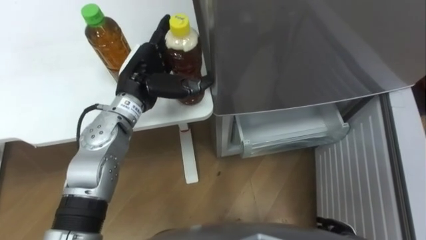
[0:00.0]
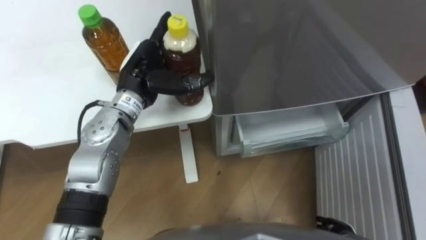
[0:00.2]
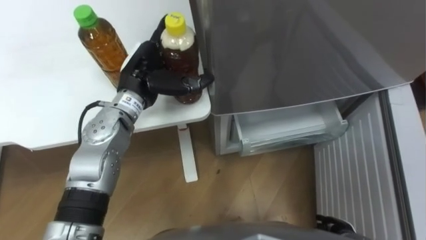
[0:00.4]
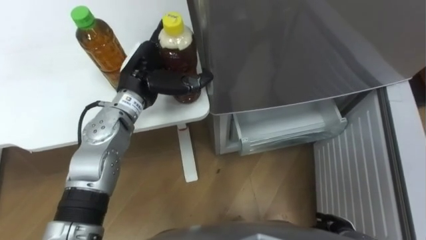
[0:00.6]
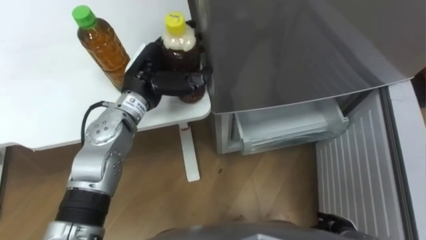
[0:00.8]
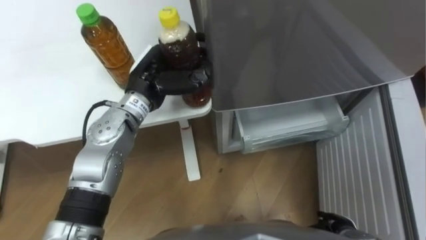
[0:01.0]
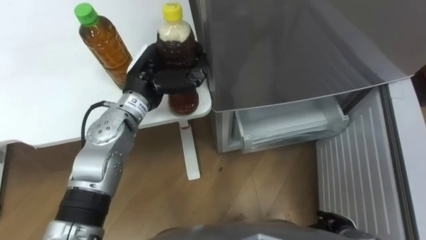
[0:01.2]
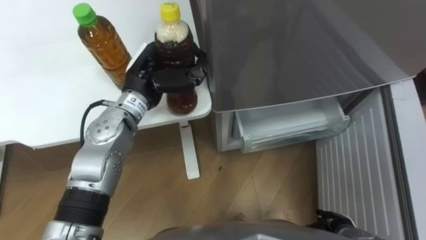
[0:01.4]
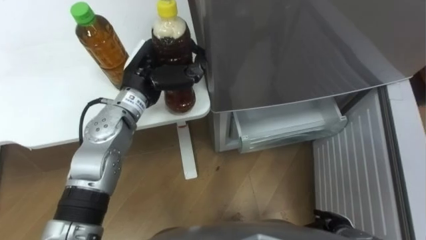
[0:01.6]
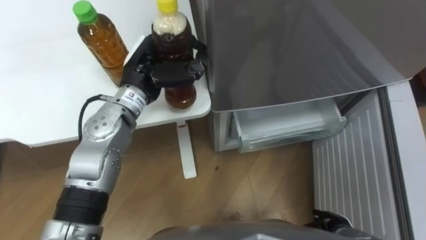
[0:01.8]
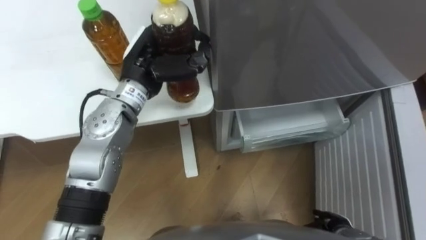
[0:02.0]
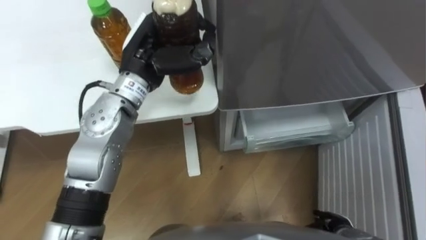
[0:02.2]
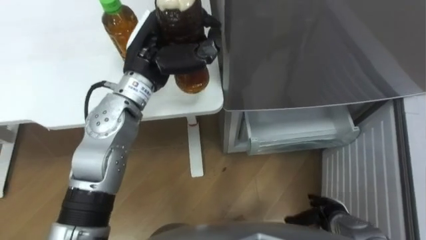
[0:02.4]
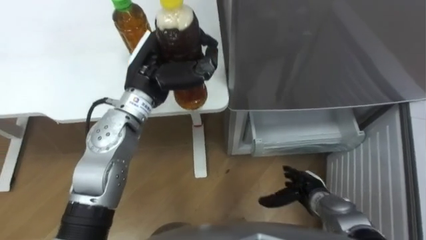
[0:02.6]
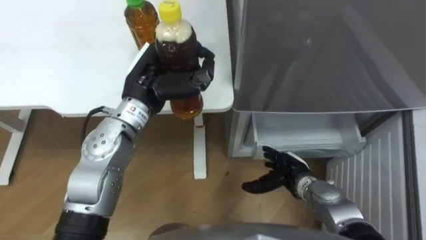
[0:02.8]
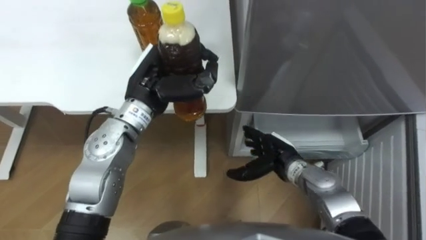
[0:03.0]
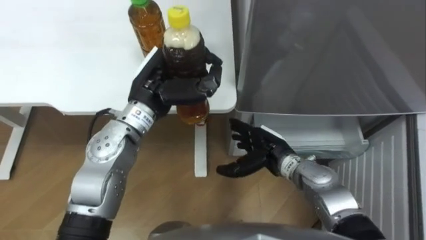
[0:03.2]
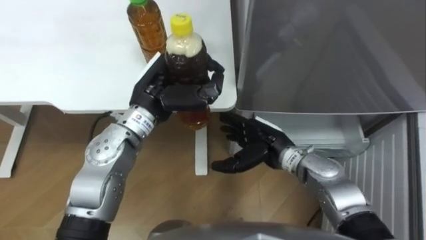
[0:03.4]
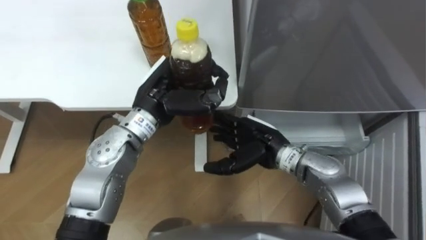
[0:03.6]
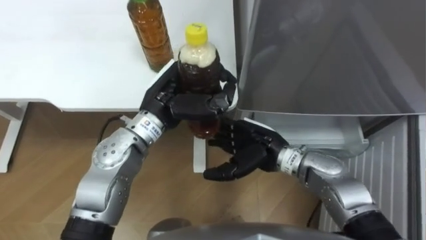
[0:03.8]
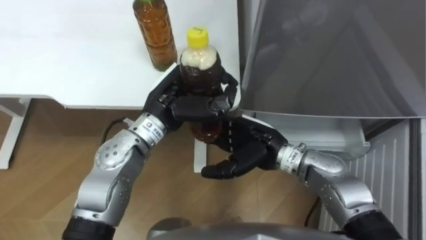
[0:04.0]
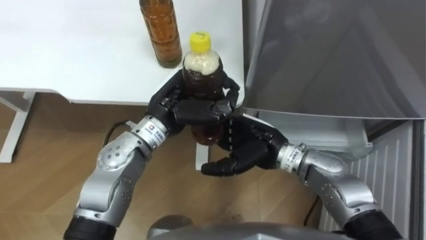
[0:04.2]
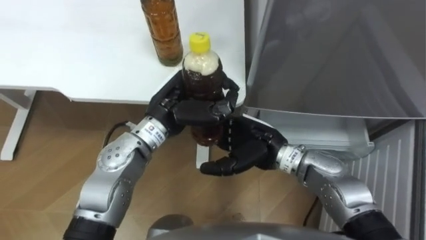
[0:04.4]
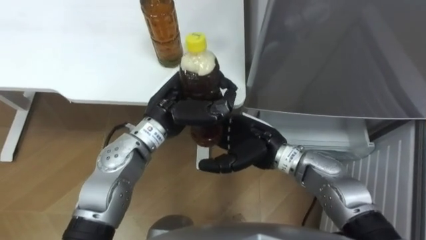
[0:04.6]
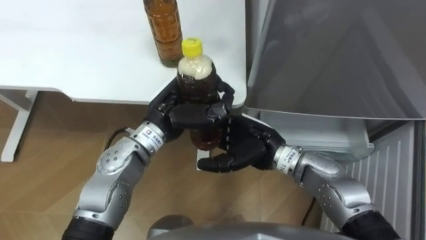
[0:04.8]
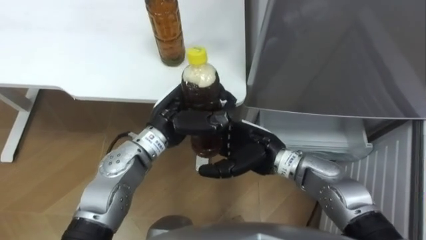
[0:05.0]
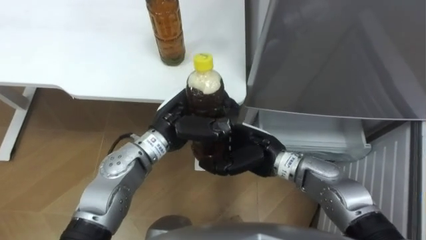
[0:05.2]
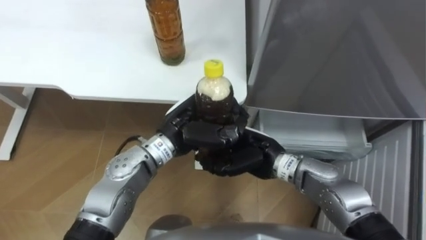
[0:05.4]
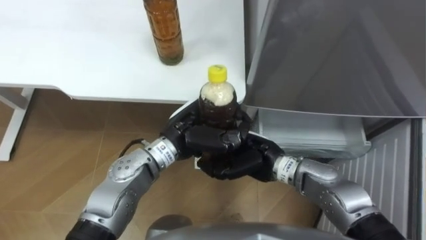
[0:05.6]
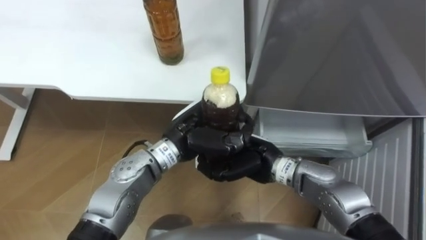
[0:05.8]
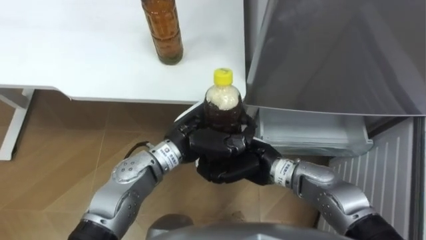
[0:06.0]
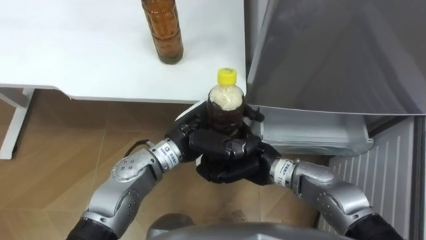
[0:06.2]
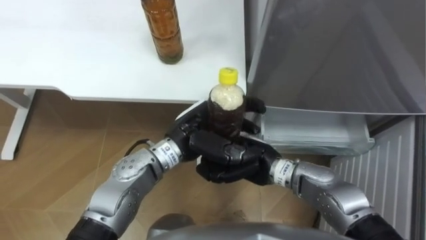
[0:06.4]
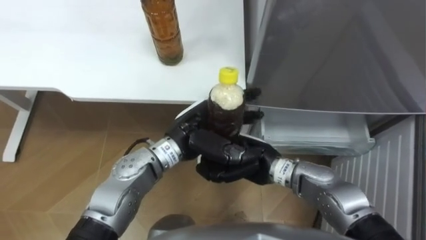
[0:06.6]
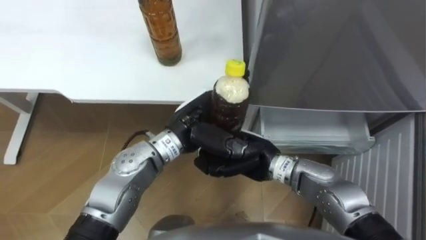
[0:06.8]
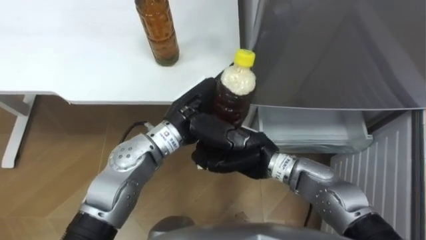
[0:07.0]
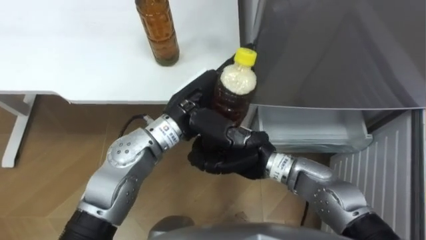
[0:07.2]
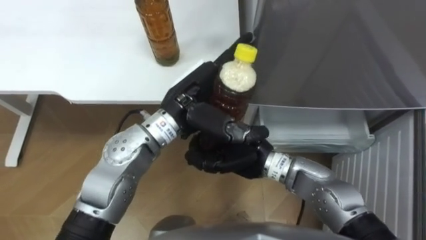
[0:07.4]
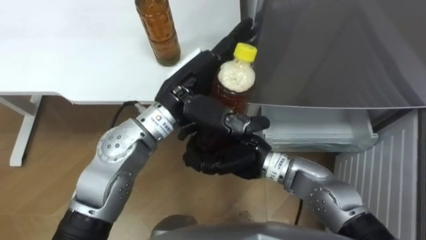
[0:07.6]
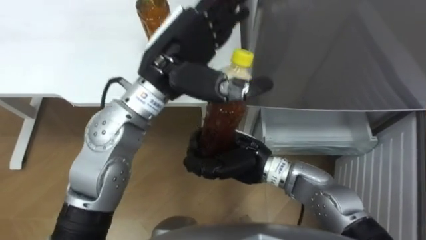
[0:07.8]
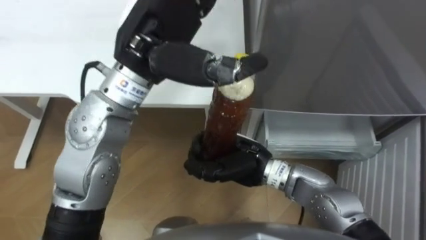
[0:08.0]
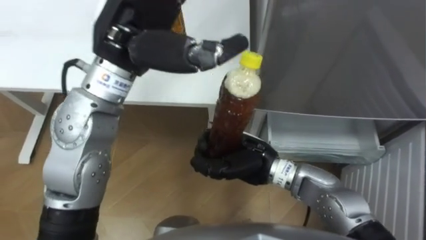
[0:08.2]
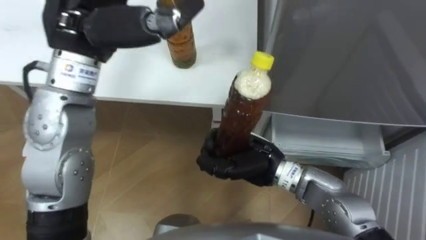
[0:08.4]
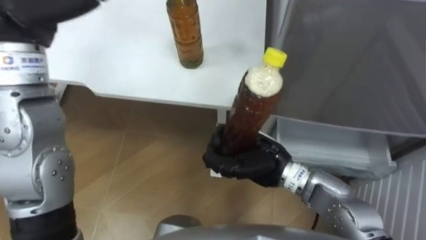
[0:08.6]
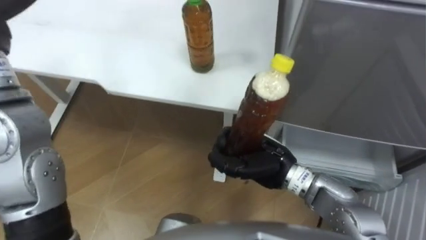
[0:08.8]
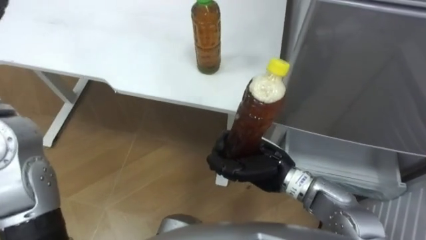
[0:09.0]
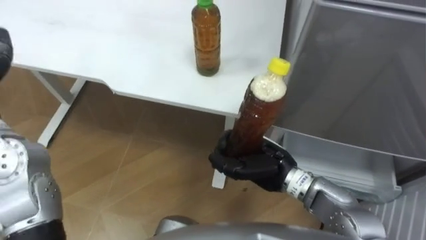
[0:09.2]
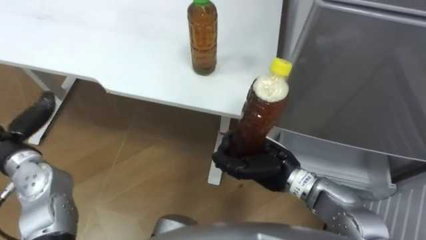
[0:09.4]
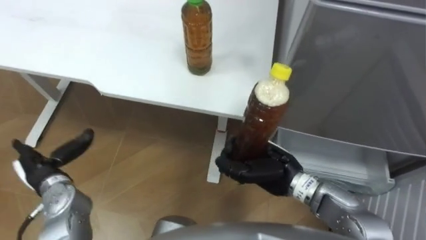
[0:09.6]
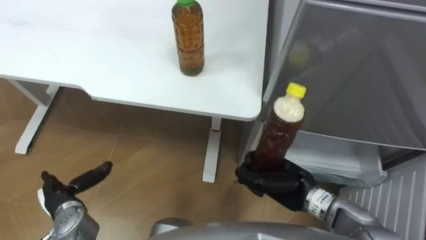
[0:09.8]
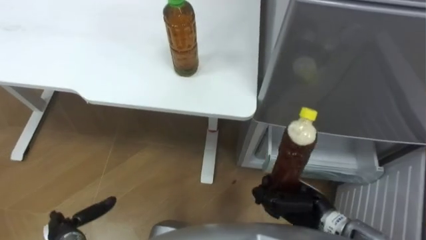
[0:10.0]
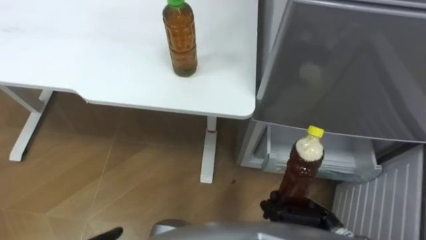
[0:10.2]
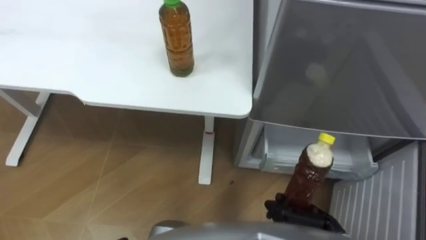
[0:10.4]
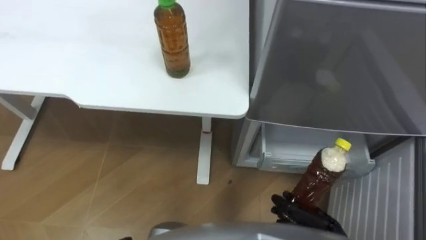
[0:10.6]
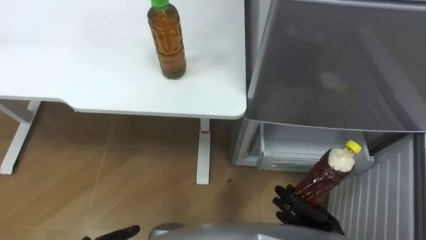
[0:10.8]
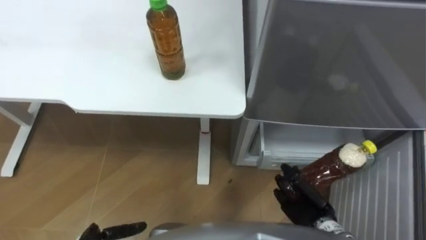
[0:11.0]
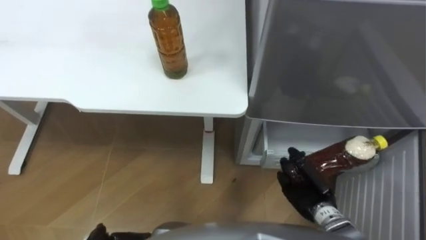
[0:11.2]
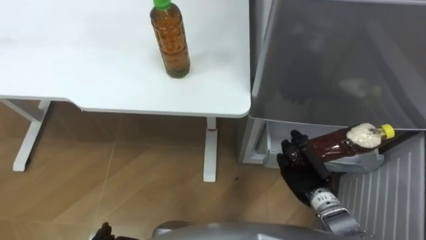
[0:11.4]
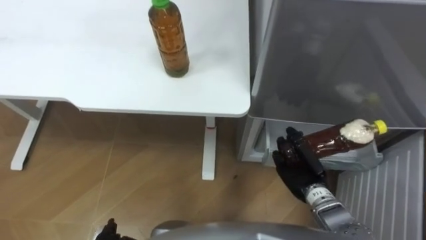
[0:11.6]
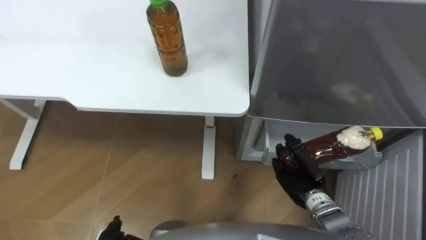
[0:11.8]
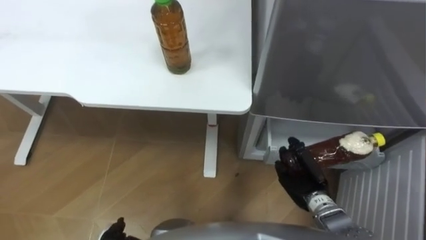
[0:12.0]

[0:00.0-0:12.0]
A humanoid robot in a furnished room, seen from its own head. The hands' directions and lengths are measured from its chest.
Task of the whole recording: Place the drink on the table on the bottom shelf of the refrigerator, then close the drawer and the refrigerator door.
0:00.0 to 0:01.6: The left hand closes its fingers.
0:01.6 to 0:03.0: The right hand travels forward, to the left and upward by approximately 20 cm.
0:03.0 to 0:04.4: The right hand travels upward and to the left by roughly 10 cm. Meanwhile the left hand ends up roughly 5 cm from where it was.
0:04.4 to 0:06.0: The right hand closes its fingers; the left hand moves about 5 cm.
0:06.0 to 0:07.6: The left hand shifts some 10 cm upward, and opens.
0:07.6 to 0:09.0: The right hand shifts by some 5 cm.
0:09.0 to 0:10.4: The right hand travels downward, to the right and backward by some 20 cm.
0:10.4 to 0:12.0: The right hand moves forward, about 10 cm.

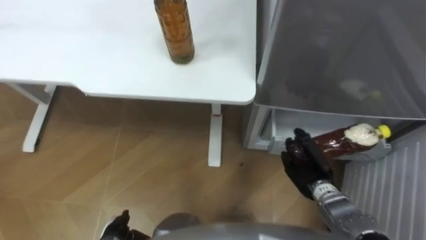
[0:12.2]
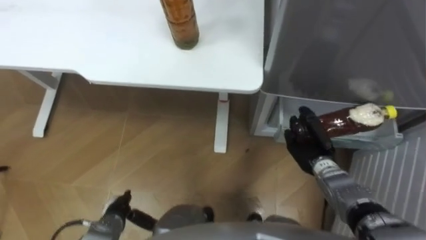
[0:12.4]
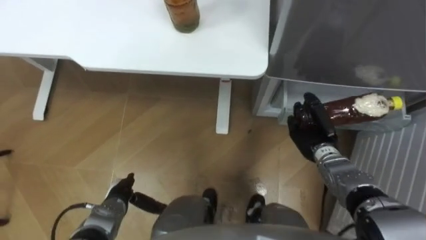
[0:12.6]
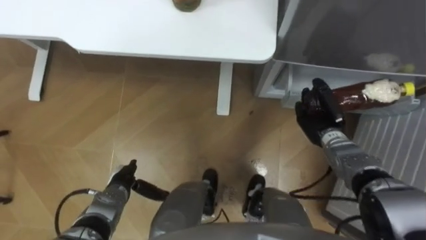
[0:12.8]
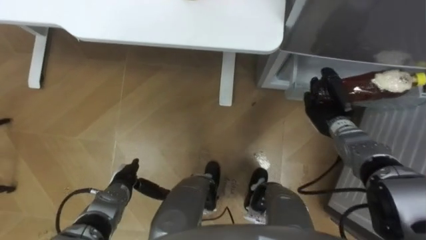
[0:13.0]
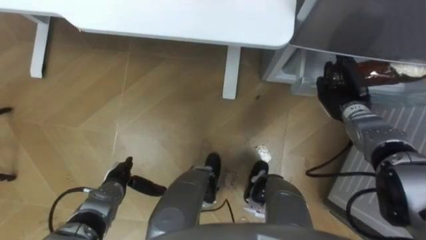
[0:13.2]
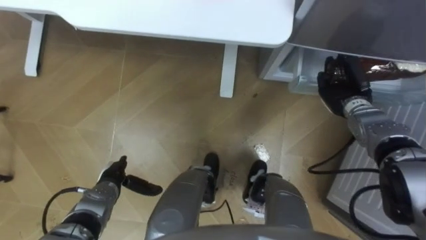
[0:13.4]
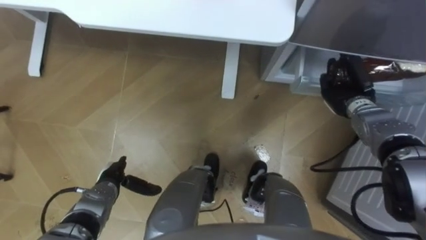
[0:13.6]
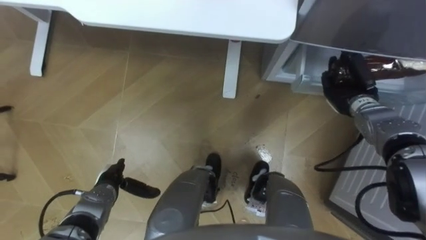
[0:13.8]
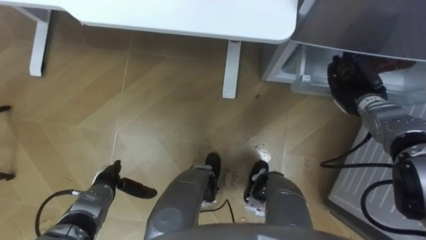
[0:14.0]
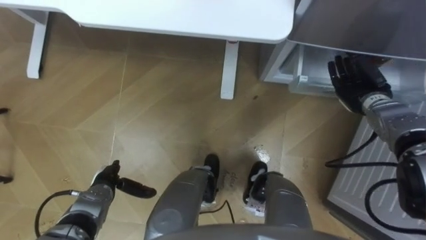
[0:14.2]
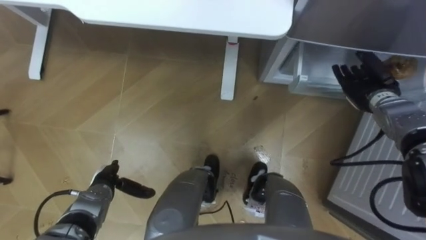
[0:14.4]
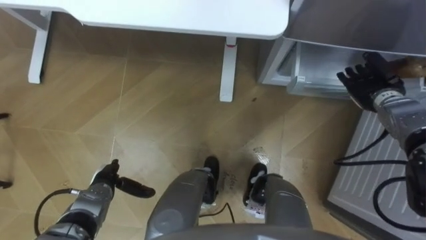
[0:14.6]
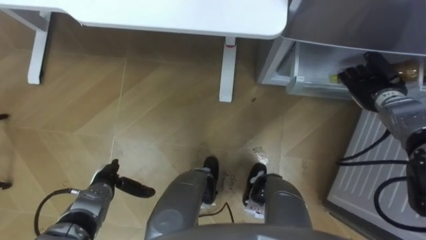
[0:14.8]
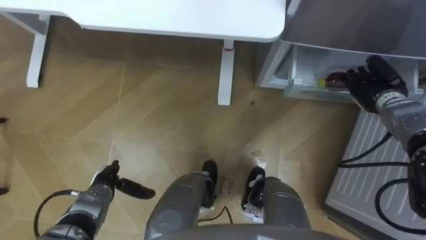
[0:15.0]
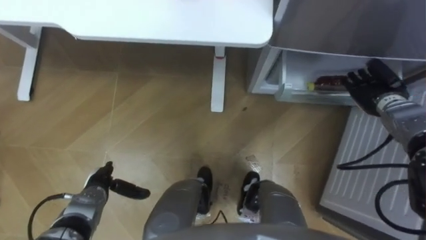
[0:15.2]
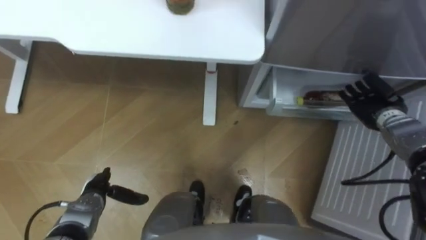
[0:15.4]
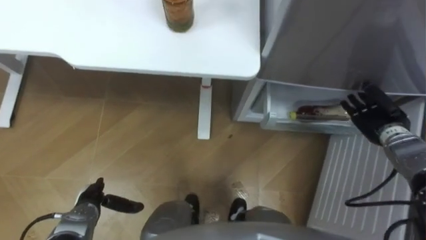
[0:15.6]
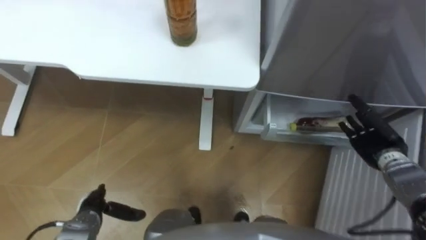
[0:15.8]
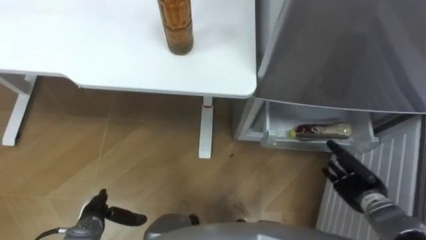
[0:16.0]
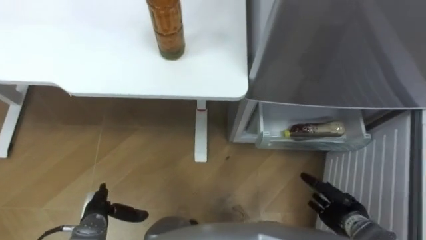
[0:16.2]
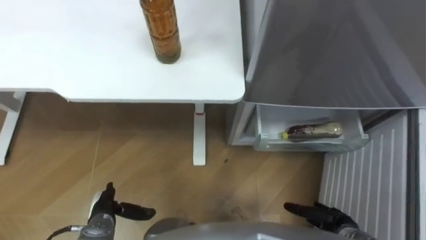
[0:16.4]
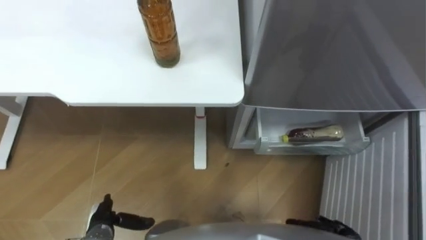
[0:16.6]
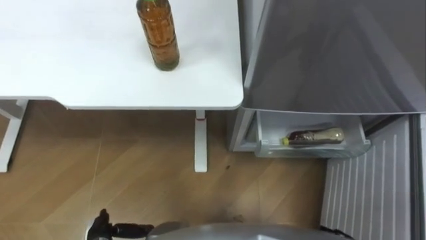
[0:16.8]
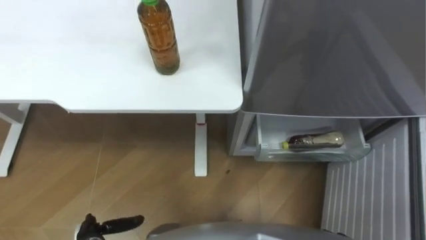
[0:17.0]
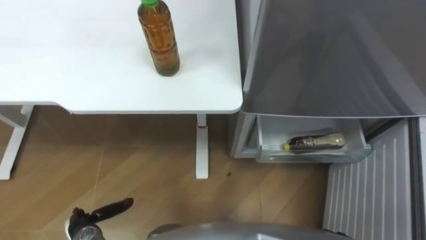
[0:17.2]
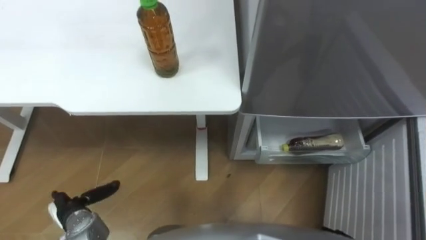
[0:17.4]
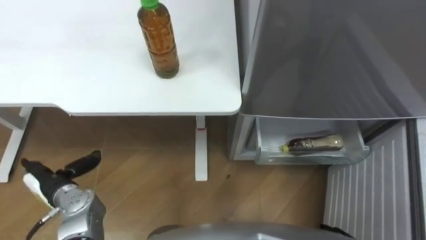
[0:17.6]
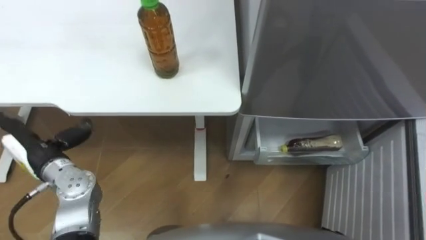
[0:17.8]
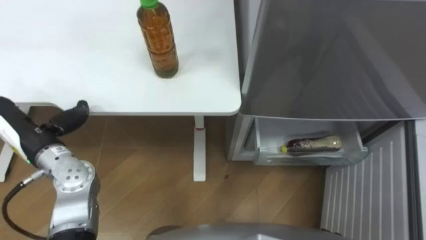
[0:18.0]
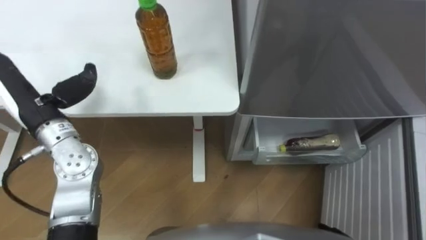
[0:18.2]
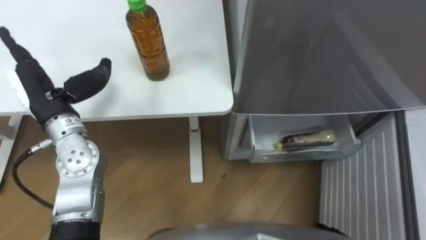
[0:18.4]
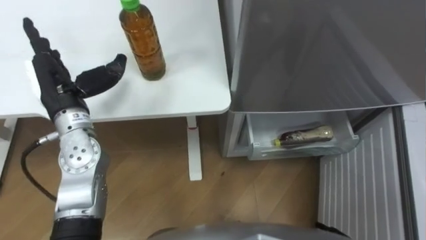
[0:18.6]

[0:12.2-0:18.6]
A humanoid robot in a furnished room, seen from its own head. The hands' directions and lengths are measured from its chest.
Task of the whole recording: Place the drink on the table on the bottom shelf of the refrigerator, then close the drawer and the refrigerator door.
0:12.2 to 0:13.8: The left hand shifts about 10 cm forward; the right hand is displaced forward, upward and to the right by approximately 20 cm.
0:13.8 to 0:15.4: The right hand shifts approximately 5 cm to the right, and opens up.
0:15.4 to 0:17.0: The left hand travels backward by about 10 cm.
0:17.0 to 0:18.6: The left hand goes about 35 cm upward and forward.
